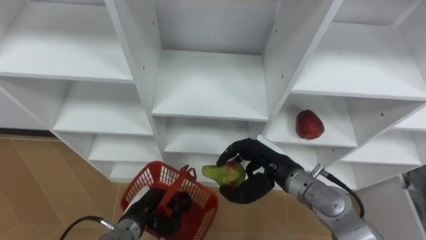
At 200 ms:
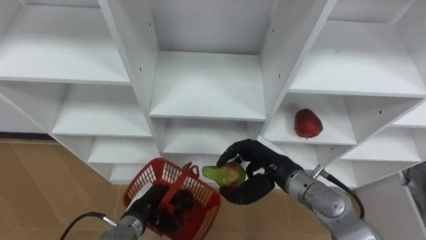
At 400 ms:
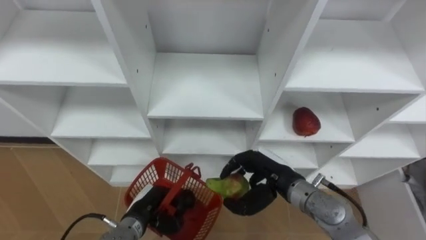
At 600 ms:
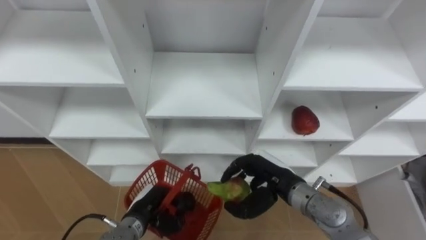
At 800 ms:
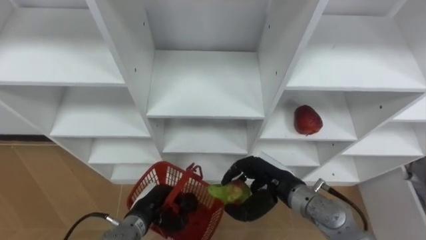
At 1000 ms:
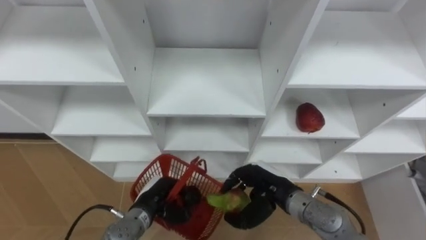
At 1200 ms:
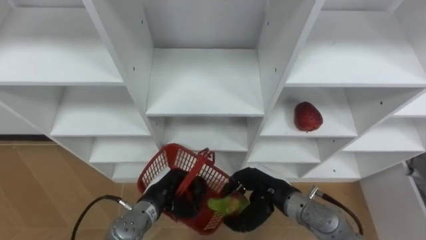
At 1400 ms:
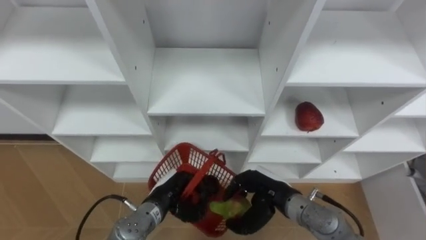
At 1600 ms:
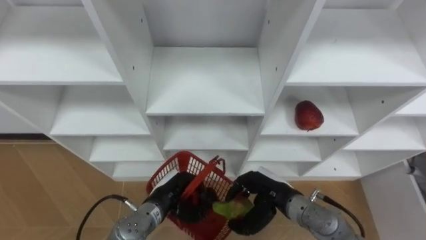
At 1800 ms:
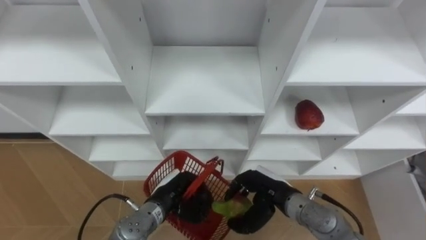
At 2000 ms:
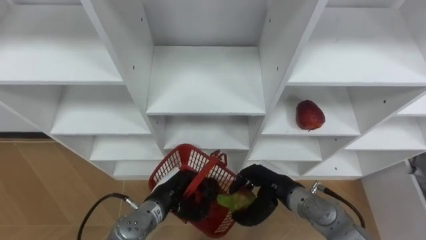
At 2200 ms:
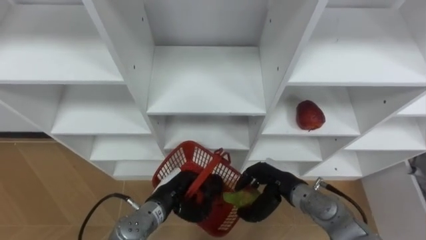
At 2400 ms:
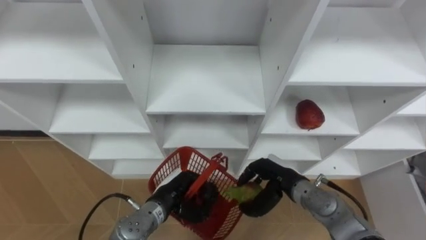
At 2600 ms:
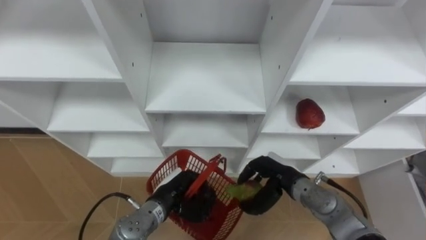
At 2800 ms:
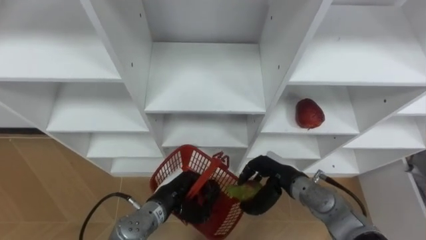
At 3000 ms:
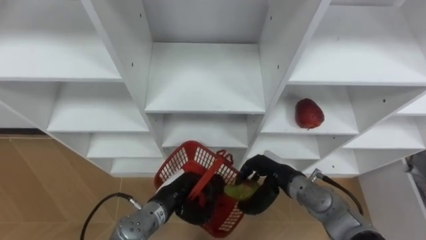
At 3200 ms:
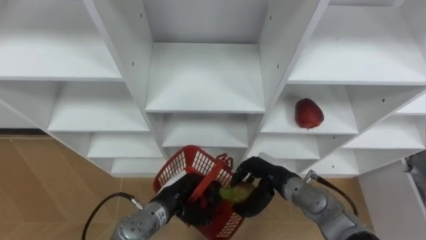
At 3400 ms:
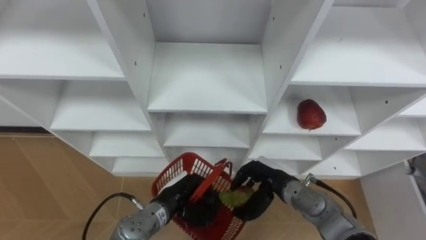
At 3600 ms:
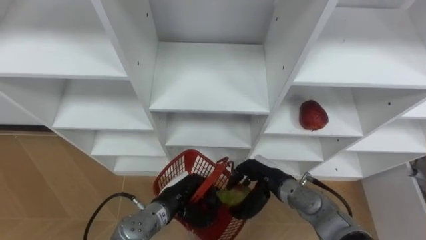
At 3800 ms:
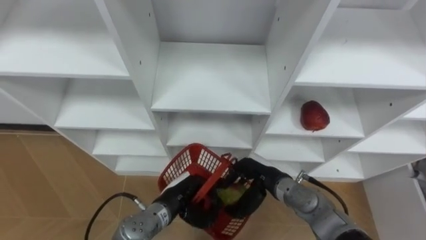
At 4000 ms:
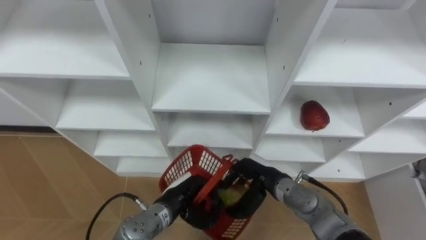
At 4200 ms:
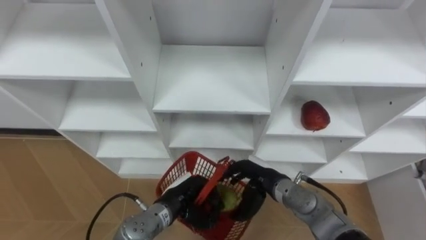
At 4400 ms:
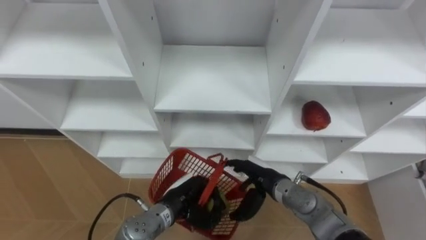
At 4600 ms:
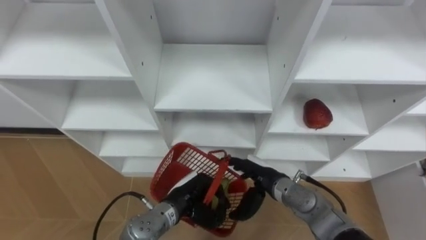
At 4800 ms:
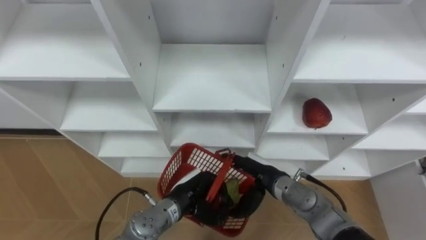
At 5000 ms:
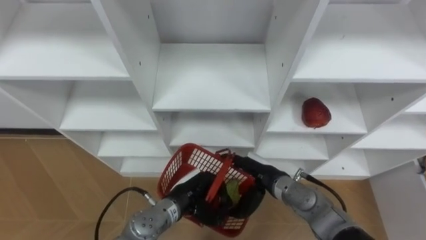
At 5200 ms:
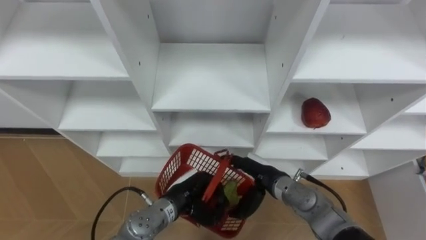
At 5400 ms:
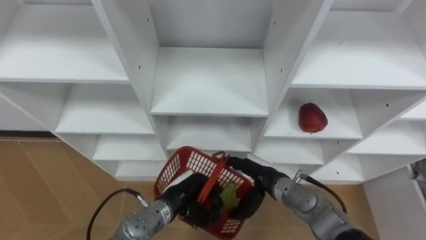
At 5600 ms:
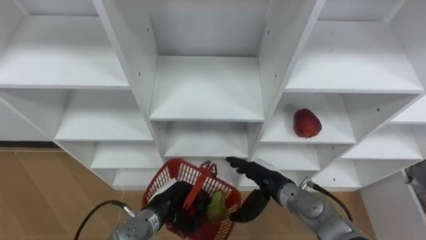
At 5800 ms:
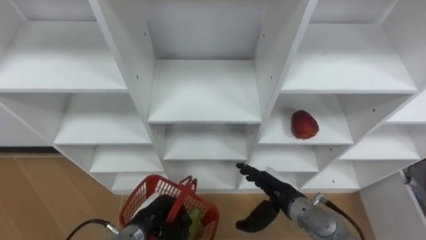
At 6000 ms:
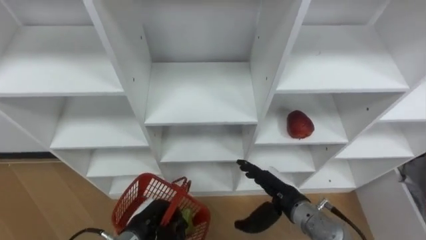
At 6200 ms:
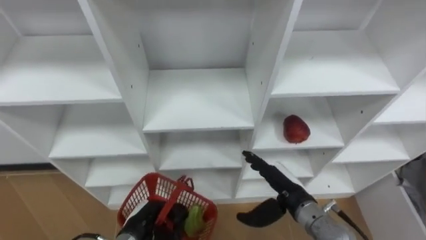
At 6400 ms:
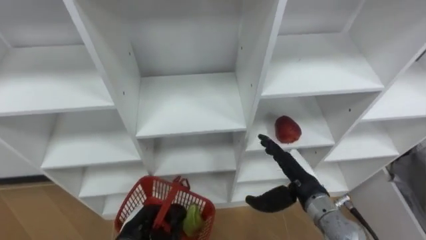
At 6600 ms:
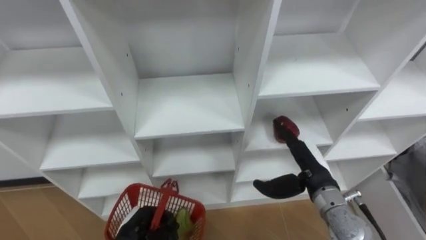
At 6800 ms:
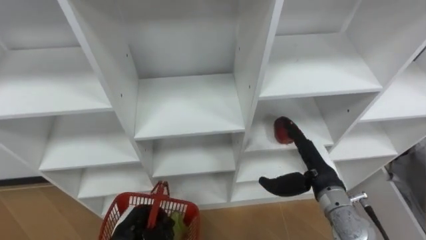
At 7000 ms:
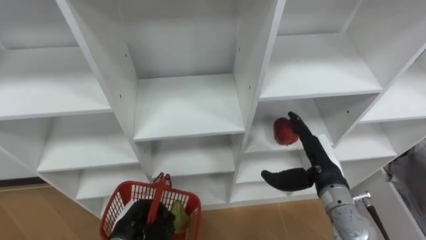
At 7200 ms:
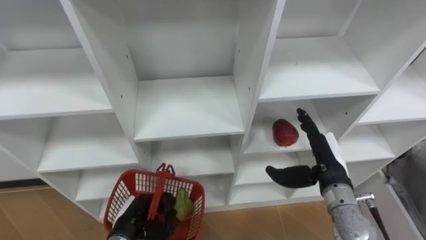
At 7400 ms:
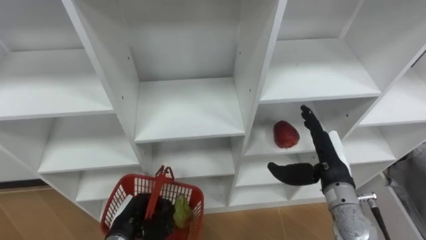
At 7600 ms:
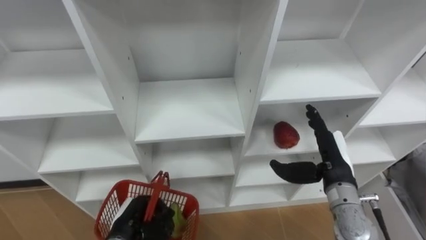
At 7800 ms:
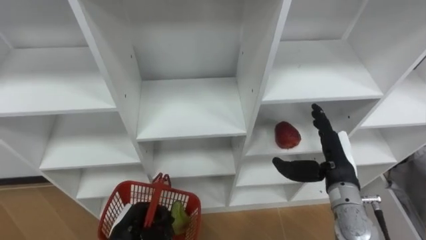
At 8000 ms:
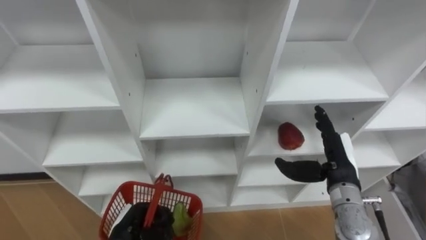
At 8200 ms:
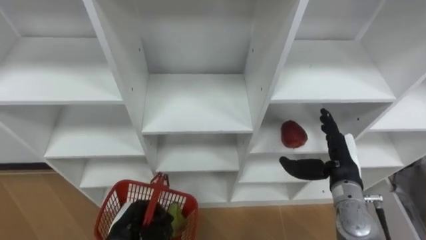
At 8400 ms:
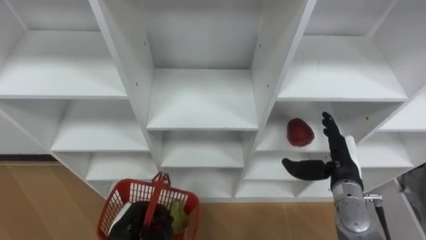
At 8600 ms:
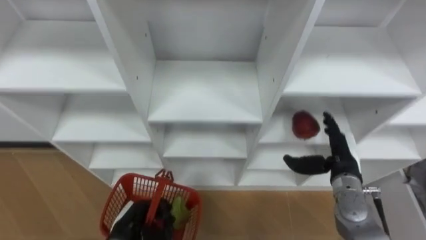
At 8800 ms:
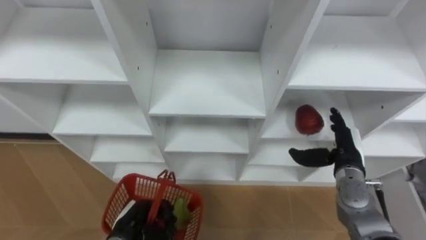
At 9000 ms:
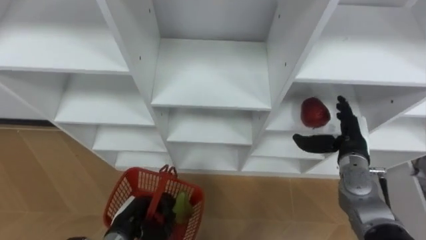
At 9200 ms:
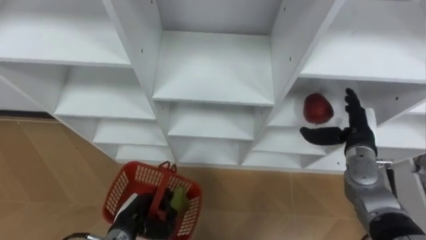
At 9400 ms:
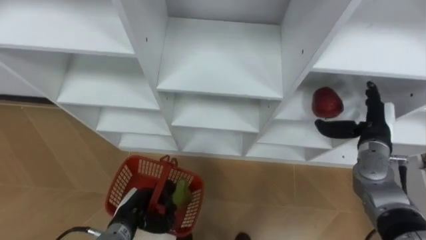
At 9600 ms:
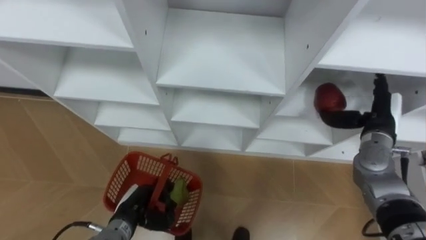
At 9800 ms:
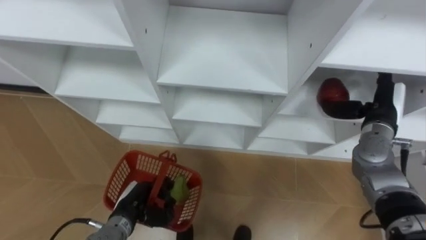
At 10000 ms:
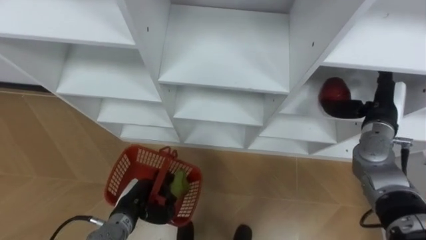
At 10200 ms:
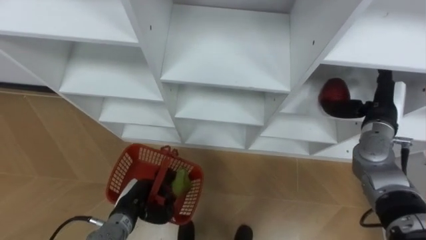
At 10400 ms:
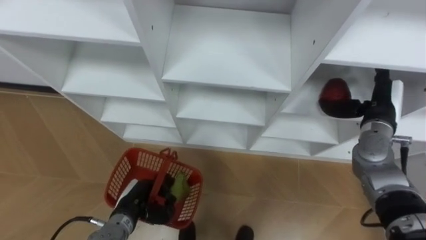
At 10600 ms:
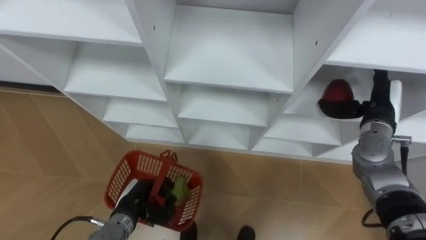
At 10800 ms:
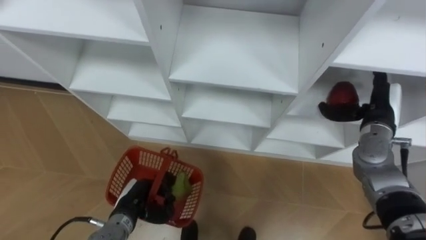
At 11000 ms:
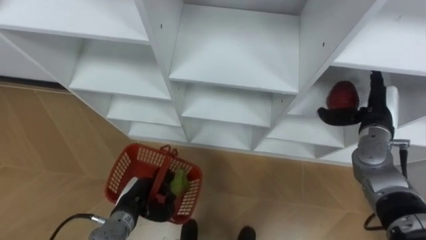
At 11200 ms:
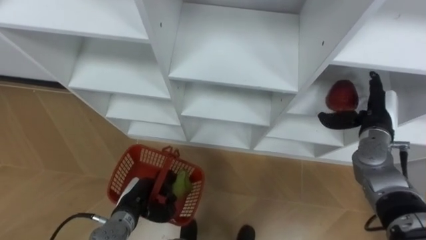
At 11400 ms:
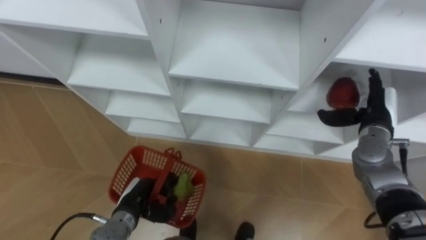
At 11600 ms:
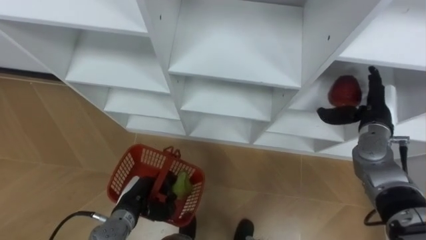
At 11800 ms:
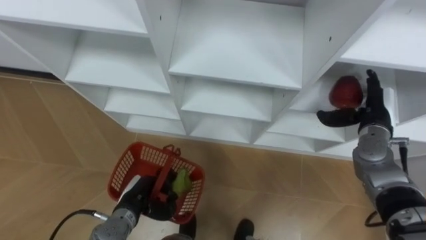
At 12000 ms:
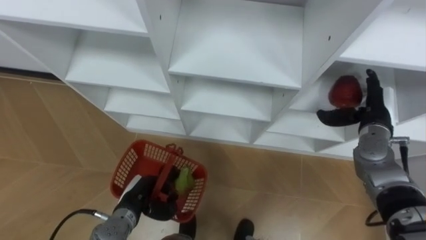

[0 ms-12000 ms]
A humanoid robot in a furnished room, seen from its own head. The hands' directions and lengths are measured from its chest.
Task of the whole recording: Hold the basket and collect the fruits from 3 different cells of the closet into it.
0 ms to 1600 ms: The right hand travels downward by some 5 cm; the left hand is displaced to the right by some 5 cm.
1600 ms to 3000 ms: The hands make only small movements.
3000 ms to 4400 ms: The right hand opens up.
4400 ms to 6000 ms: The right hand moves roughly 5 cm, while the left hand shifts some 10 cm to the left.
6000 ms to 7600 ms: The right hand shifts about 10 cm to the right and upward.
7600 ms to 9000 ms: The right hand is displaced forward by roughly 5 cm.
9000 ms to 10400 ms: The right hand travels upward by approximately 5 cm.

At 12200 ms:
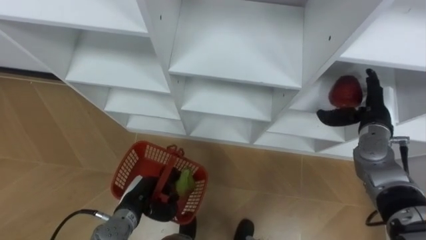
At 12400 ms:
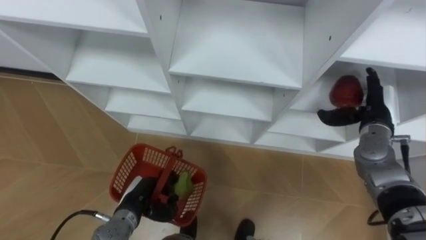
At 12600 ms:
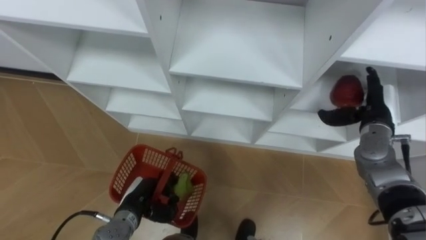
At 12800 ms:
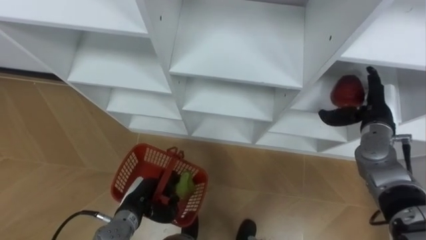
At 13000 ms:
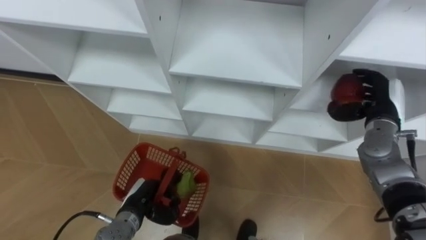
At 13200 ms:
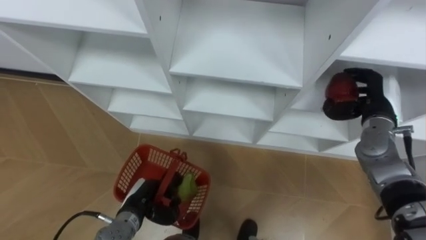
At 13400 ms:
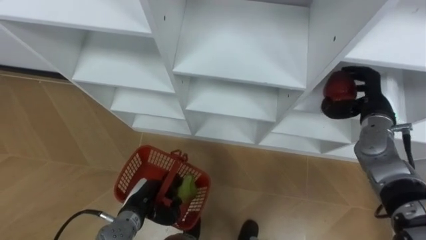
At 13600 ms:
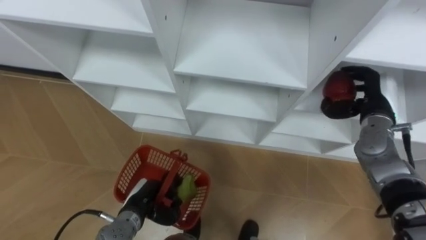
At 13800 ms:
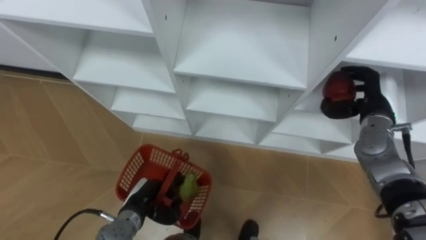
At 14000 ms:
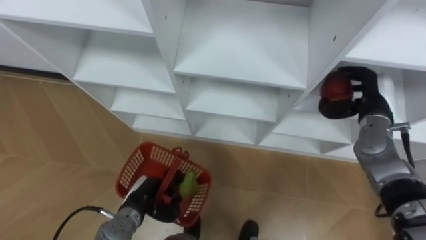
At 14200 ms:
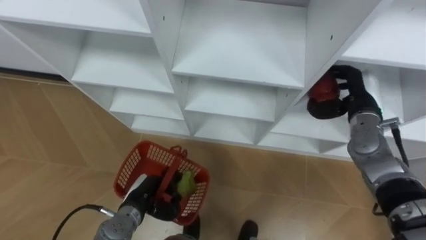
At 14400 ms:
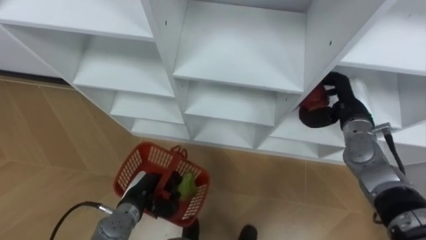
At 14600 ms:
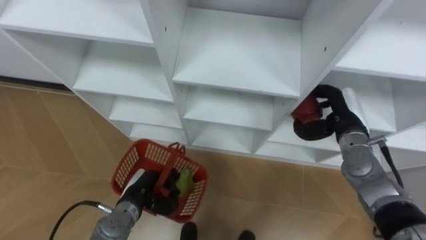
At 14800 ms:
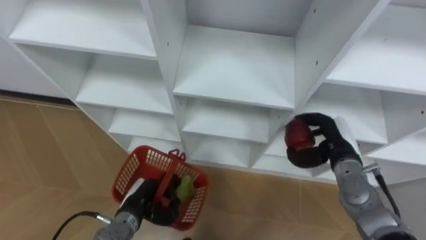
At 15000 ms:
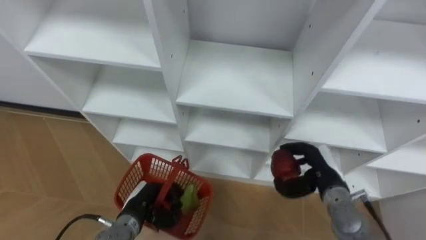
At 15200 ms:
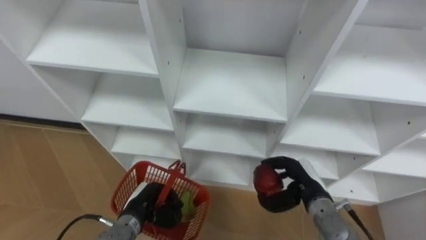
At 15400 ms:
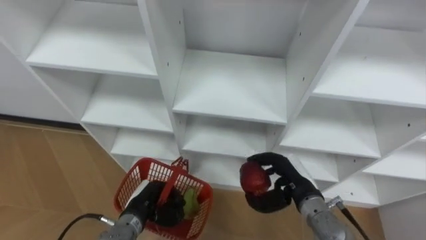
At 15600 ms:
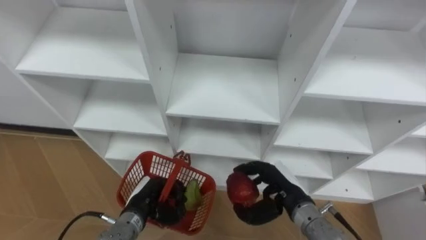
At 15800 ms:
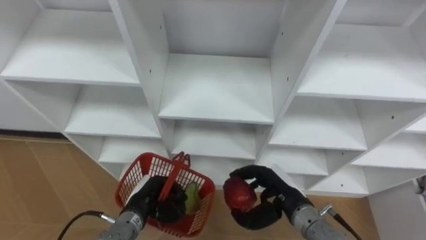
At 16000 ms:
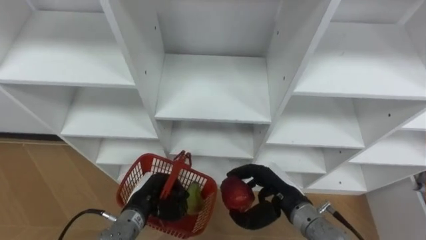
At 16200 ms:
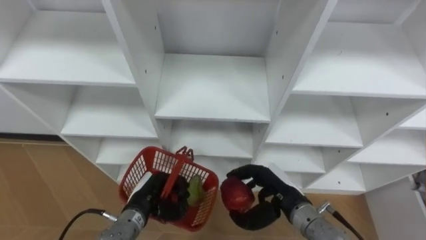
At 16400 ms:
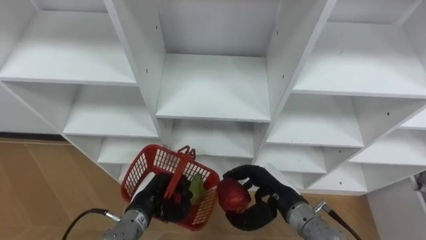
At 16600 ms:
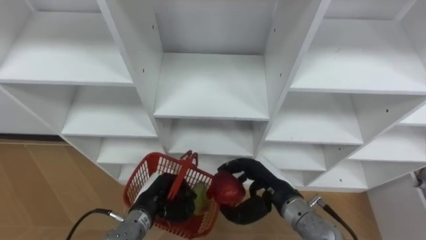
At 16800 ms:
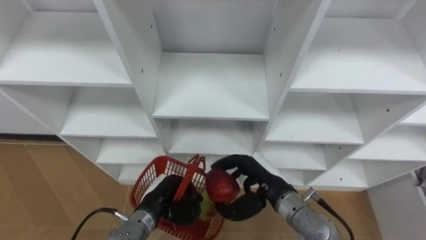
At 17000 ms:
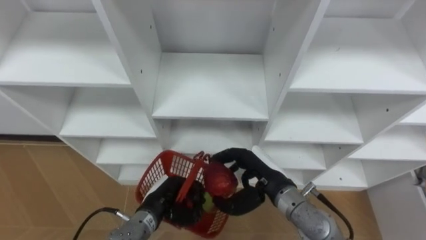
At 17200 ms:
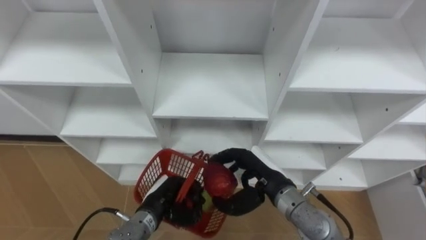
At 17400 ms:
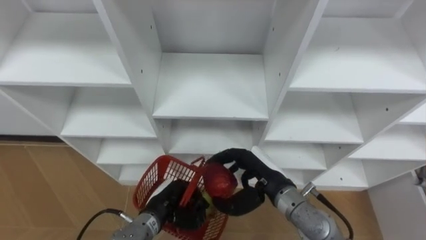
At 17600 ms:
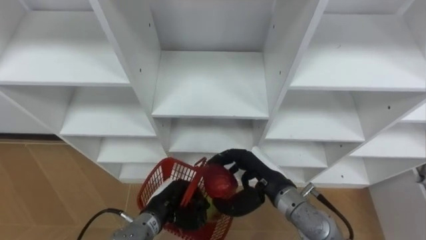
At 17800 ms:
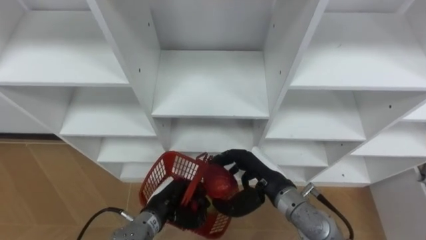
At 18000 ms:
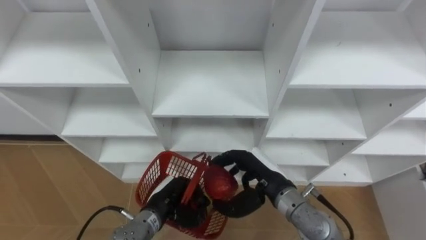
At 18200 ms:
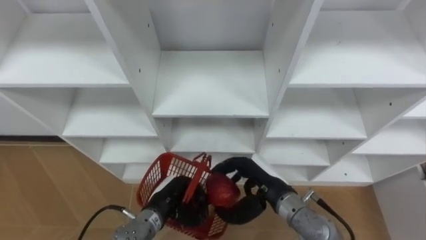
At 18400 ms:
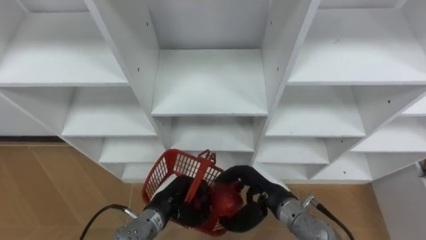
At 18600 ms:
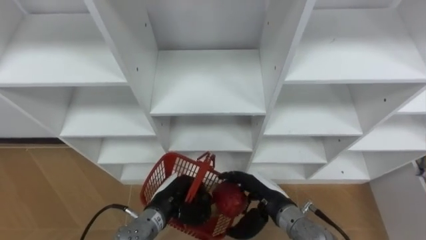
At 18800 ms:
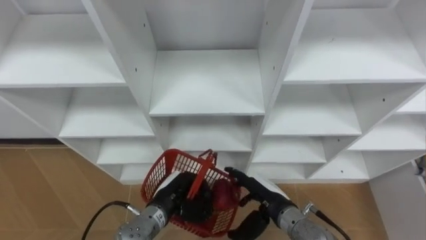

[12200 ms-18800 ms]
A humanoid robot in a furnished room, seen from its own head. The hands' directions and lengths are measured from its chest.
Task of the whole recording: Hold the basket and collect the fruits from 3 different cells of the closet into it.
12200 ms to 13800 ms: The right hand closes up.
13800 ms to 15400 ms: The right hand shifts about 20 cm to the left, backward and downward.
15400 ms to 17200 ms: The right hand heads to the left, covering approximately 5 cm.
17200 ms to 18800 ms: The right hand travels downward by approximately 5 cm, and opens.
